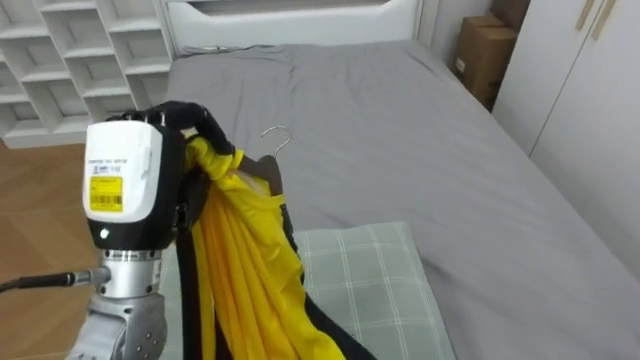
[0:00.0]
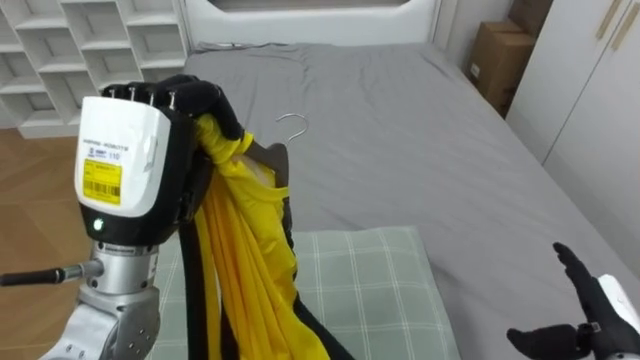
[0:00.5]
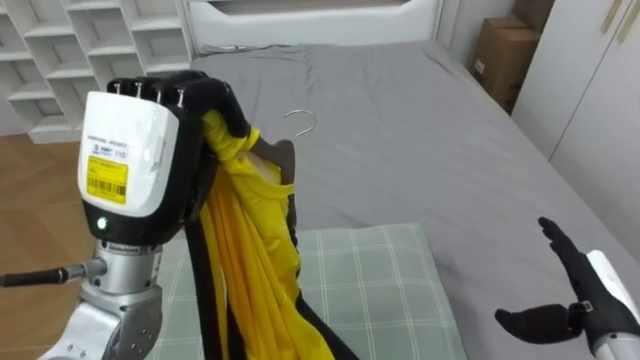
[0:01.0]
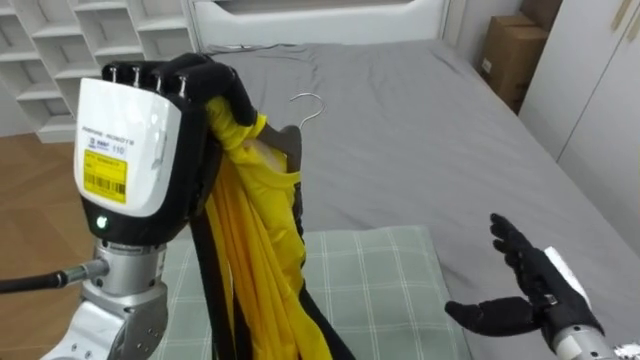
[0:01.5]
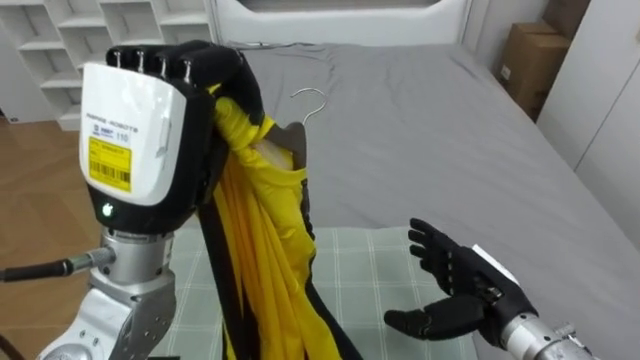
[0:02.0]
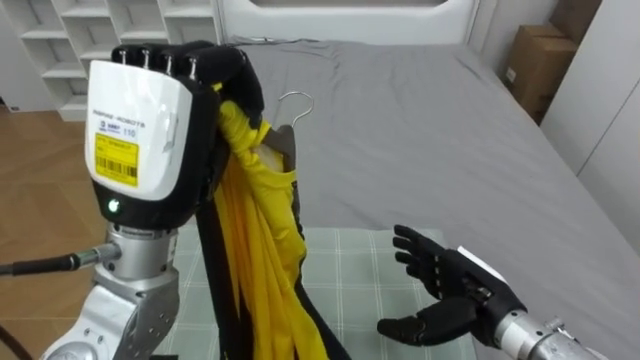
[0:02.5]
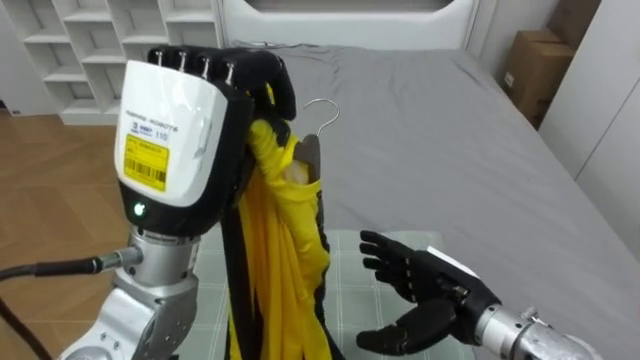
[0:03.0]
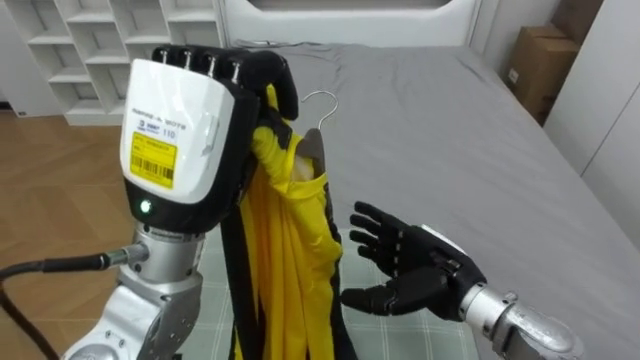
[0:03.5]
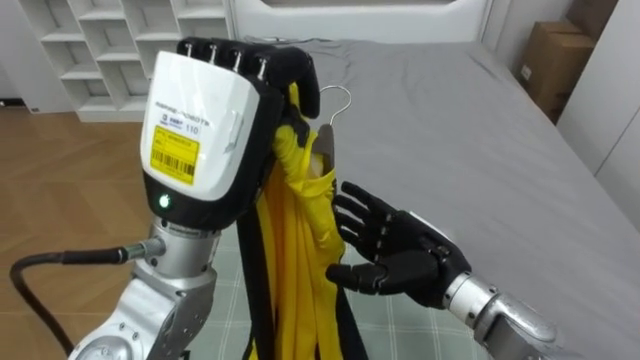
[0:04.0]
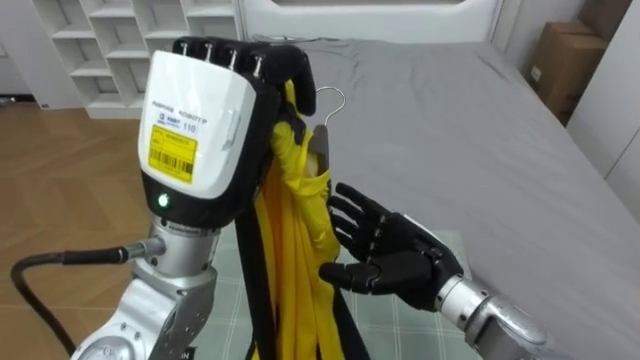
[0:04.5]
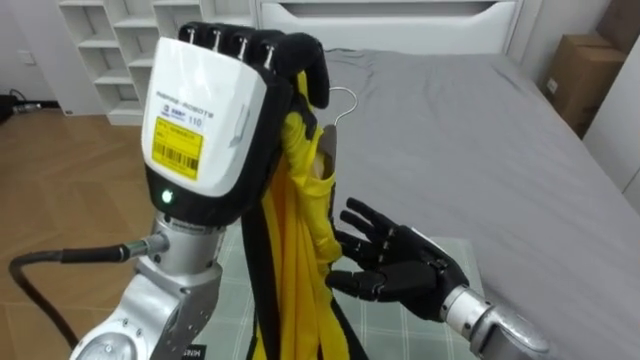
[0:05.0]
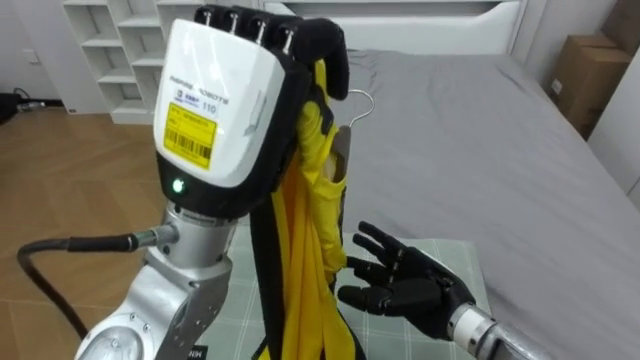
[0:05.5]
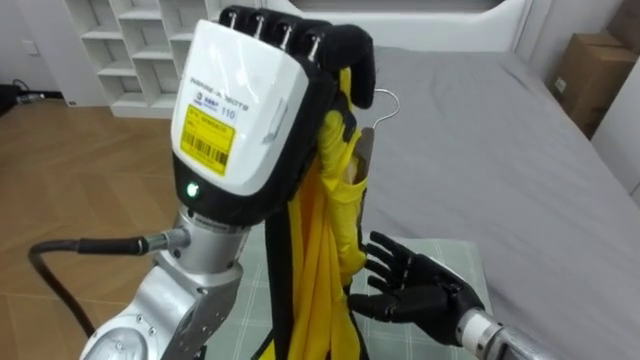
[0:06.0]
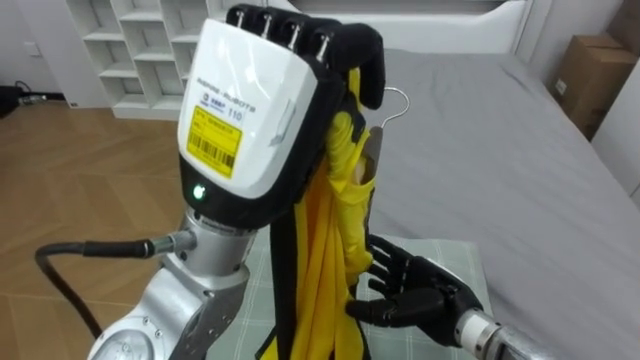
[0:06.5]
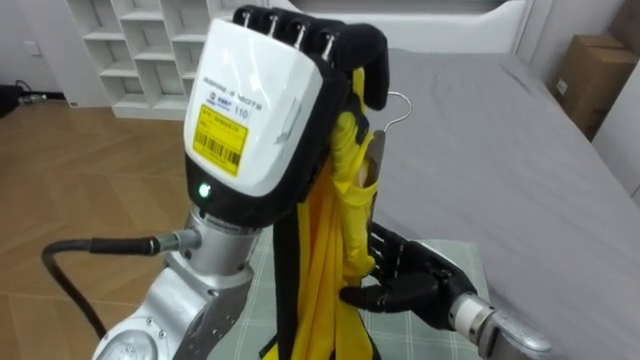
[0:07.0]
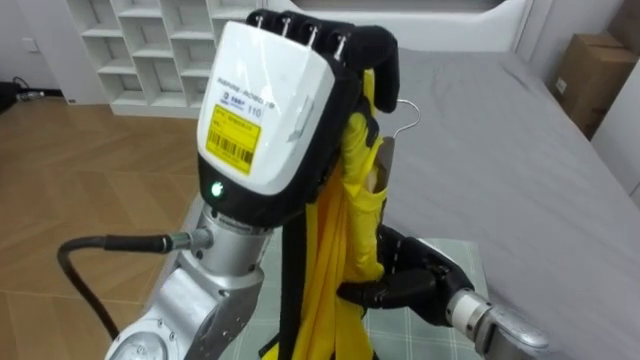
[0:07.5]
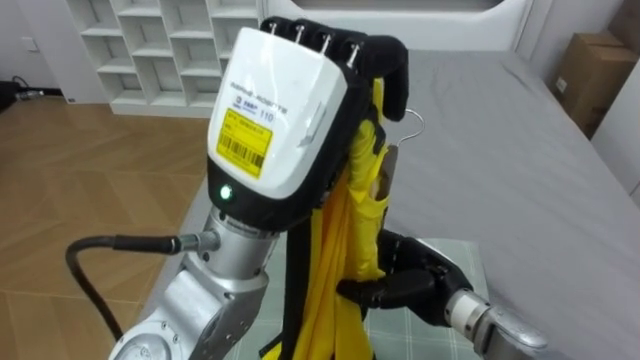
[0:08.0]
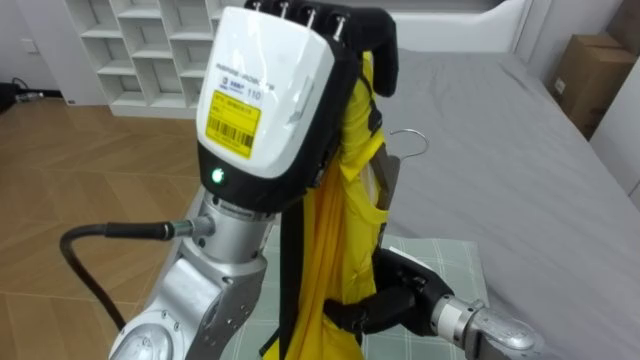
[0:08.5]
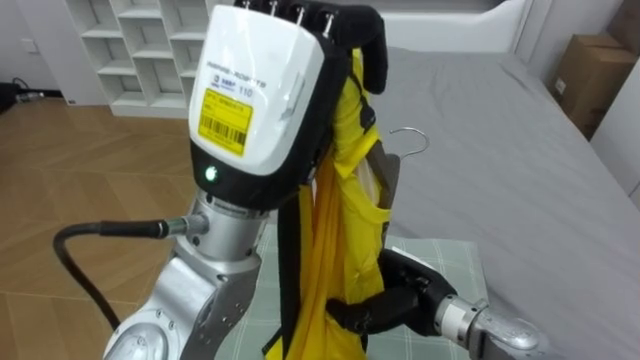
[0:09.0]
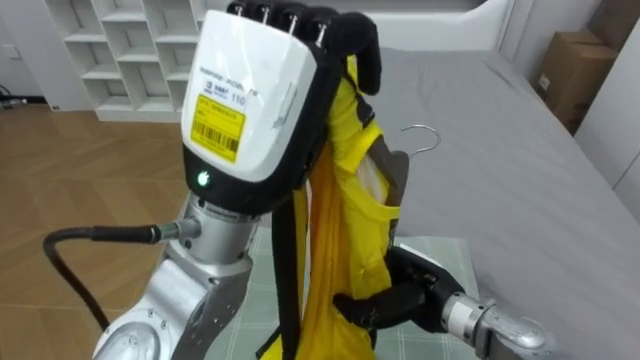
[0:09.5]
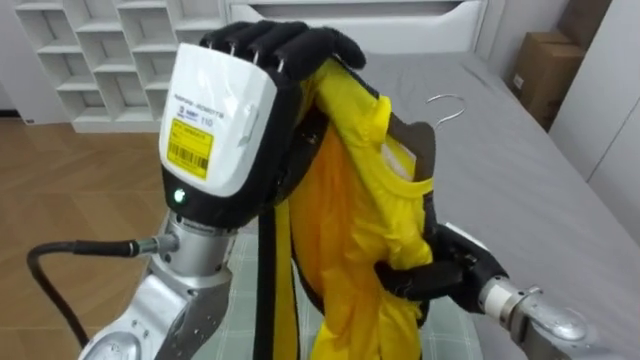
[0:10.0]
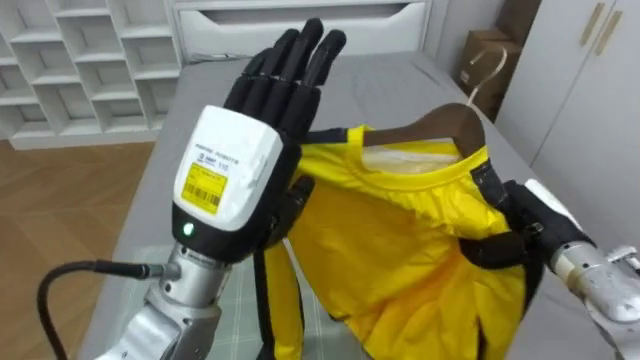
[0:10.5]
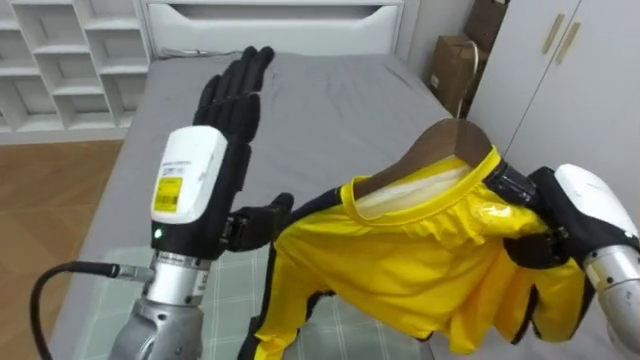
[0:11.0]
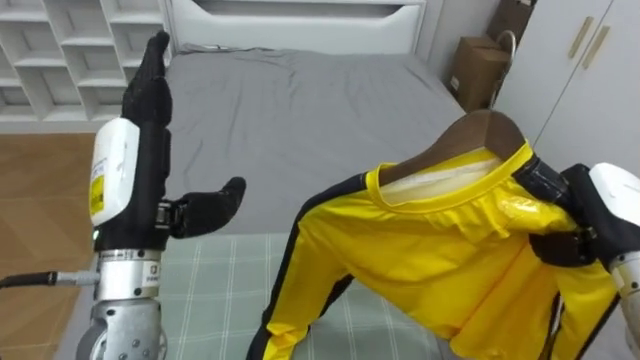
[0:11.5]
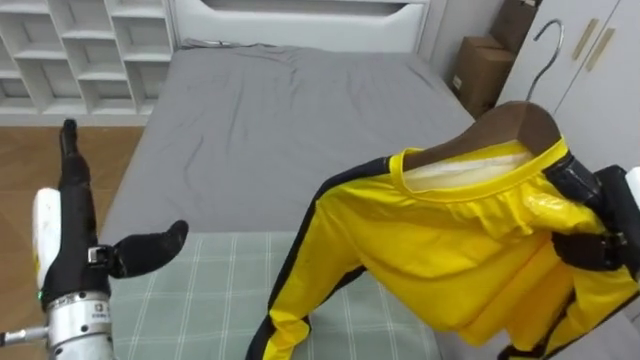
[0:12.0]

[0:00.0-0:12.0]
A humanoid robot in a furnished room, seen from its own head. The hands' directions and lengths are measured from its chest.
Task of the whole recording: Pick up the yellow shirt on the bed and hang it on the clothes rack on the right.
0:00.0 to 0:02.0: The left hand is displaced upward by some 5 cm.
0:02.0 to 0:04.0: The right hand goes approximately 10 cm to the left.
0:04.0 to 0:06.0: The right hand heads downward, covering some 5 cm.
0:08.0 to 0:10.0: The right hand closes its fingers, while the left hand opens.
0:10.0 to 0:12.0: The left hand shifts some 25 cm to the left and downward, and opens. The right hand travels to the right and upward by approximately 20 cm.

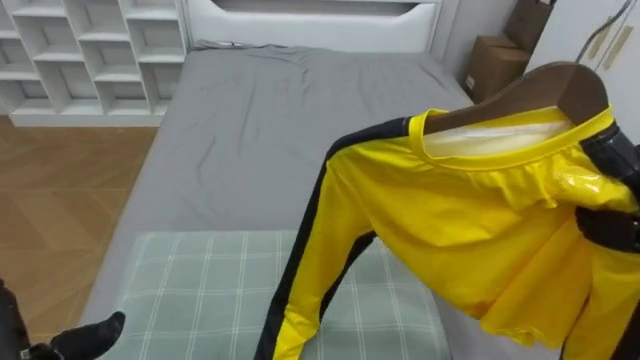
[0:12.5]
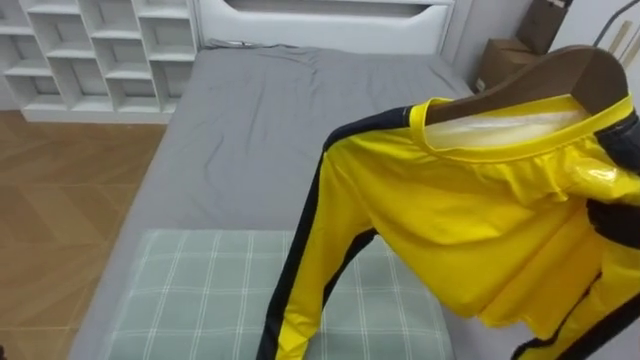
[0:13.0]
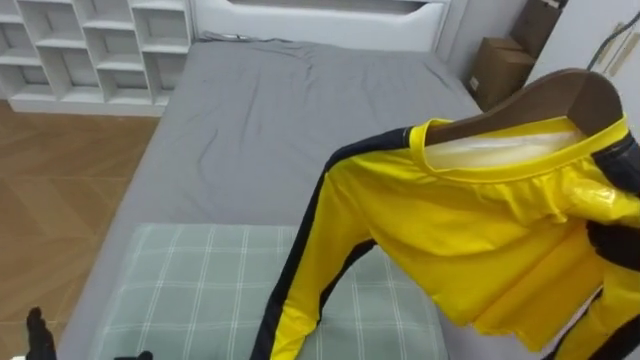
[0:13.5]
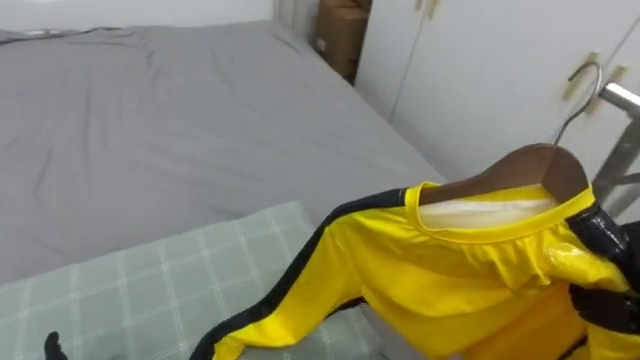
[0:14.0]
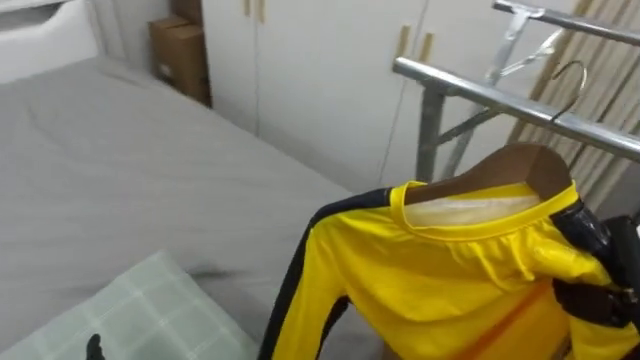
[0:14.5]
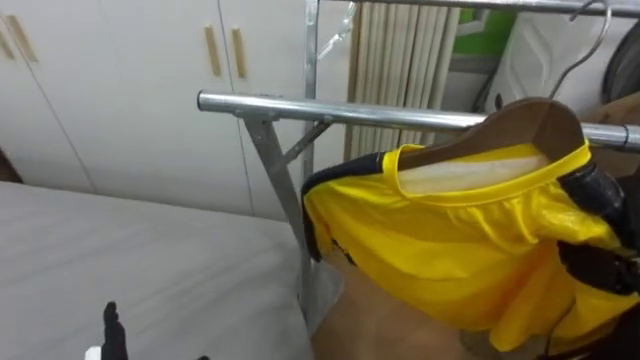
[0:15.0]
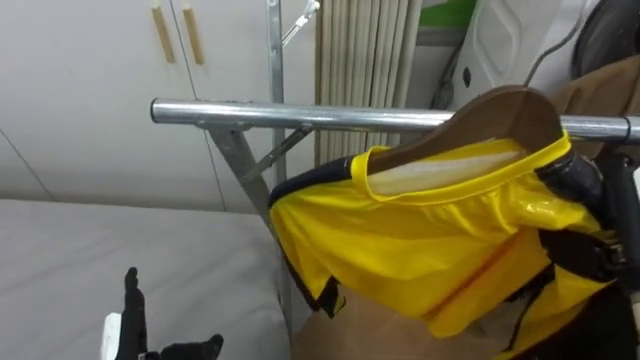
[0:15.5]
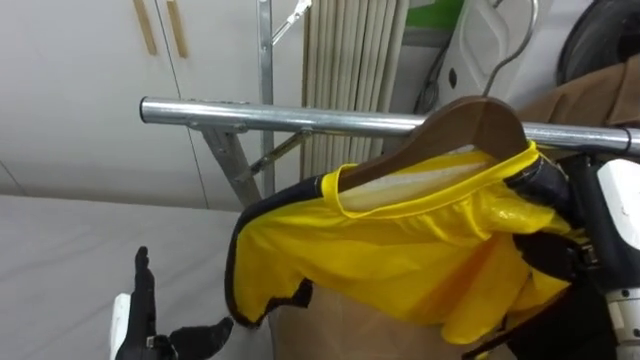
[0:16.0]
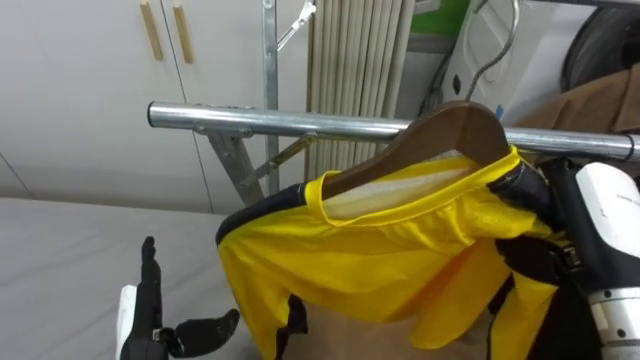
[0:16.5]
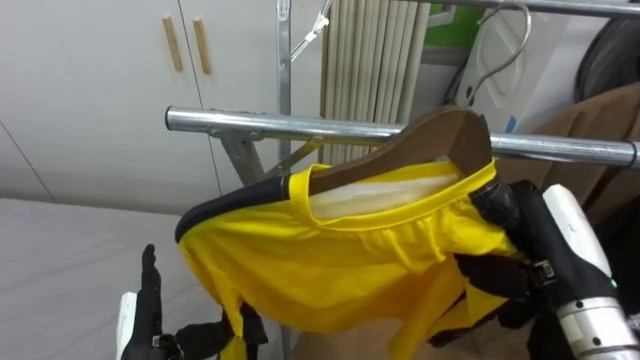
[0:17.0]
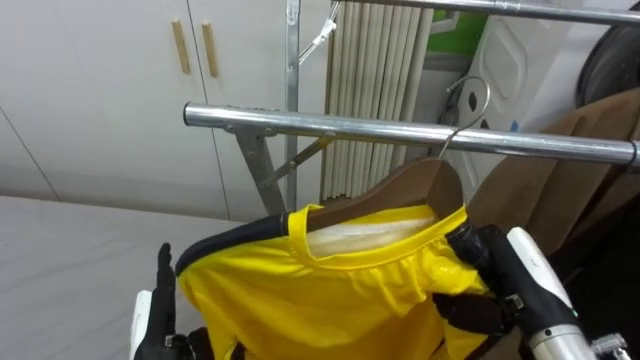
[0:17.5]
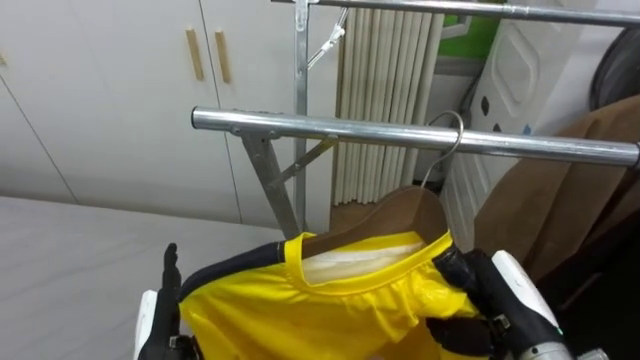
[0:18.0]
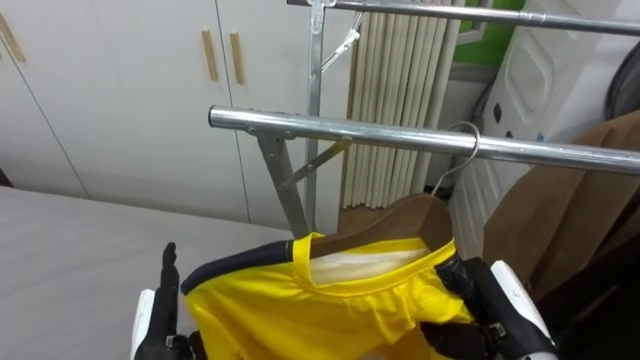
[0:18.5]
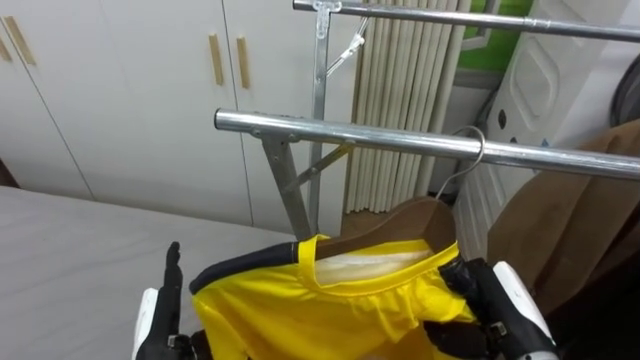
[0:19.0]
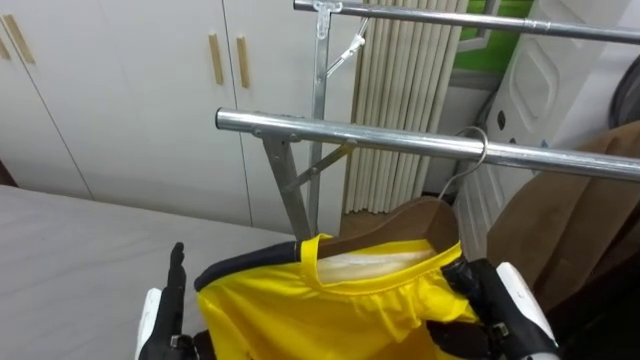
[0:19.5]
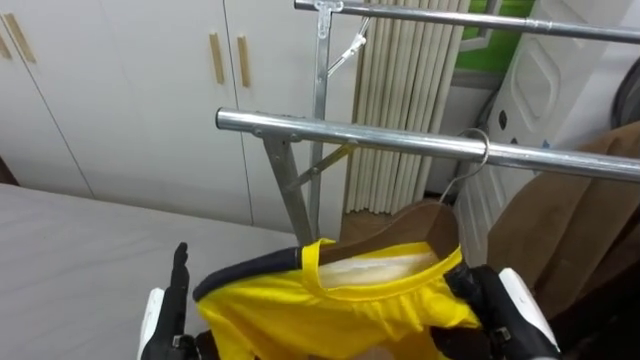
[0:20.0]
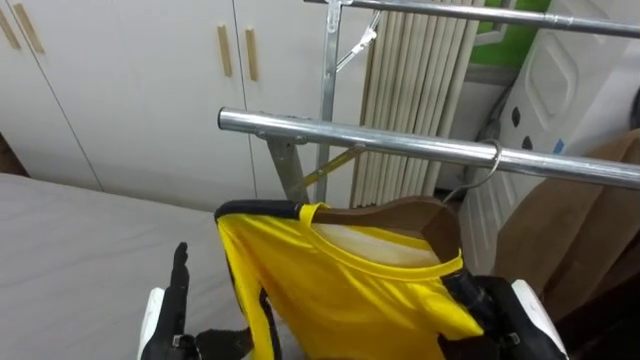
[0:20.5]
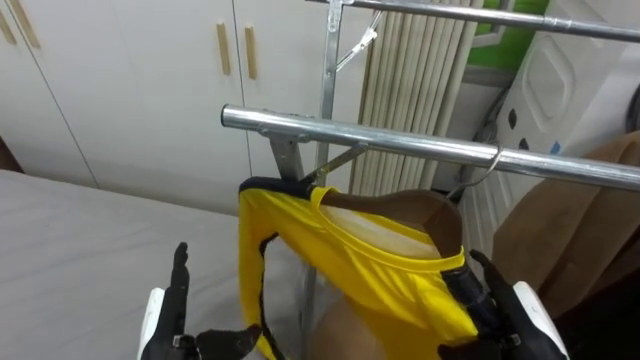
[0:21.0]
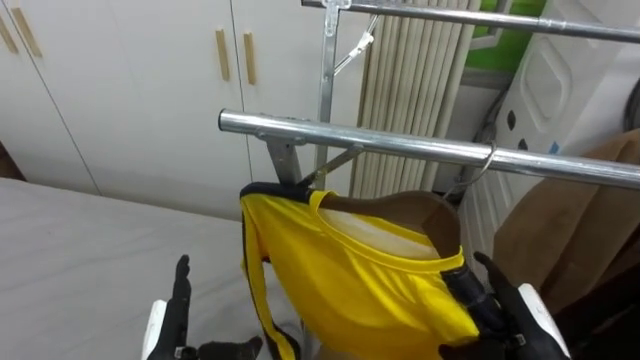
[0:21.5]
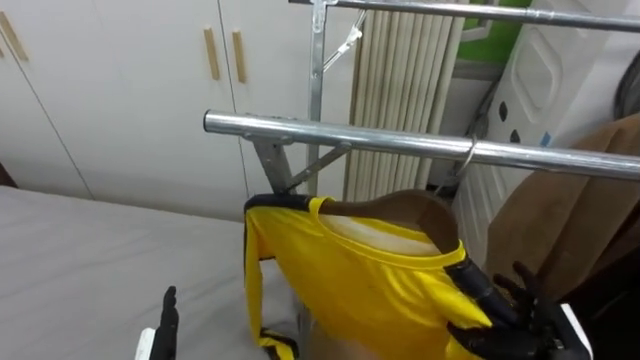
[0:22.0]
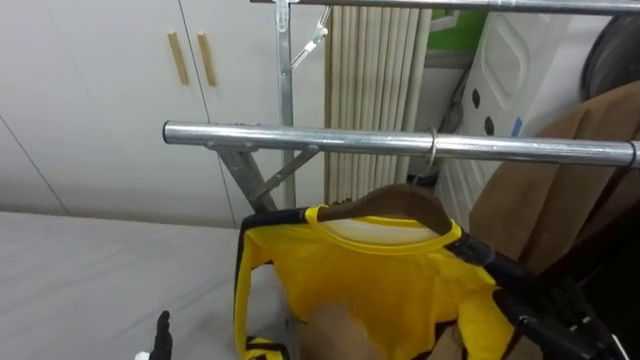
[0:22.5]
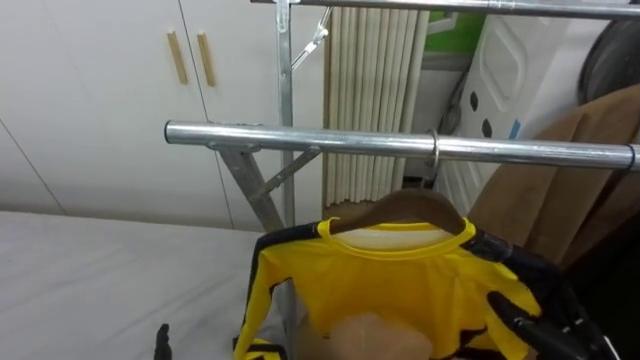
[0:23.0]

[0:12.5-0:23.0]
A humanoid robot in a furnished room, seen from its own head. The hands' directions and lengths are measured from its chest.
Task of the whole recording: Pick up the yellow shirt on the bed and hang it on the clothes rack on the right.
0:12.5 to 0:14.5: The robot turns to its right by roughly 45 degrees.
0:14.5 to 0:16.5: The robot turns to its right by approximately 40 degrees.
0:16.5 to 0:19.0: The right hand travels downward by some 15 cm.
0:19.0 to 0:21.0: The right hand opens up.
